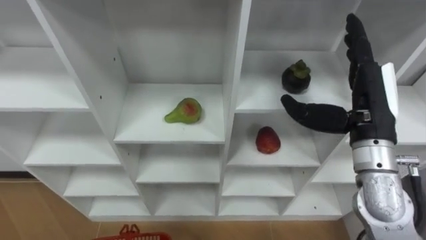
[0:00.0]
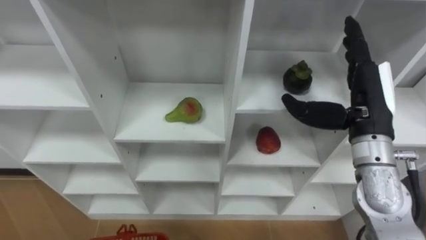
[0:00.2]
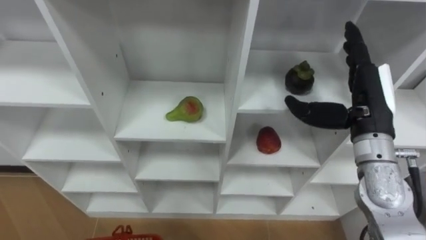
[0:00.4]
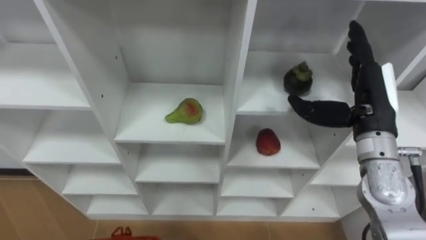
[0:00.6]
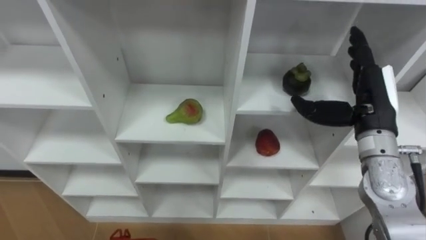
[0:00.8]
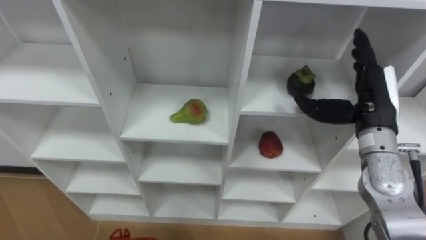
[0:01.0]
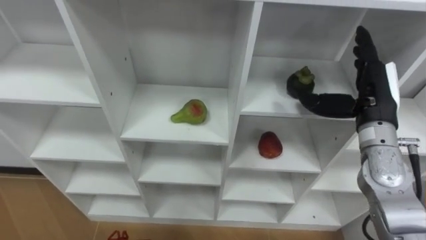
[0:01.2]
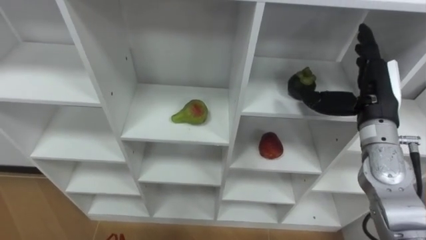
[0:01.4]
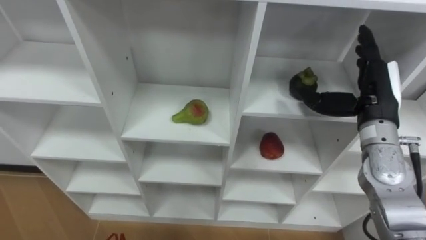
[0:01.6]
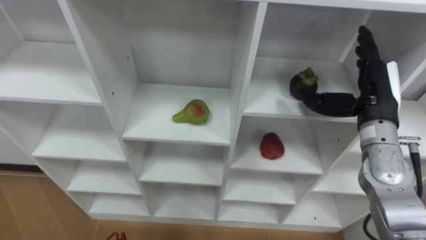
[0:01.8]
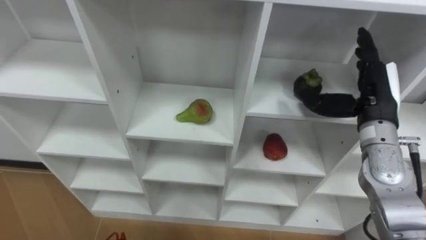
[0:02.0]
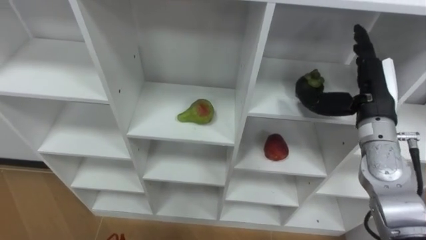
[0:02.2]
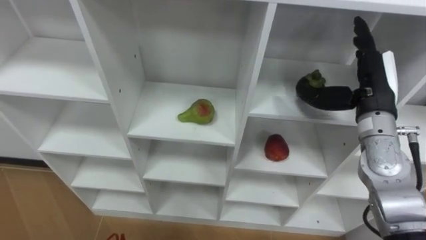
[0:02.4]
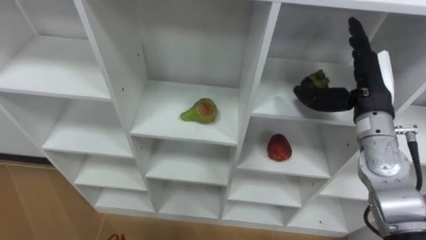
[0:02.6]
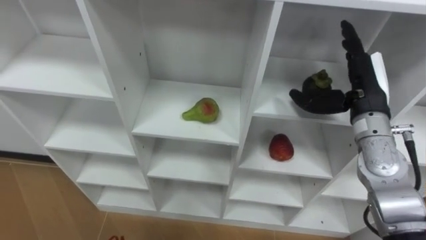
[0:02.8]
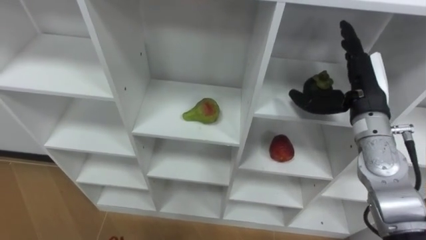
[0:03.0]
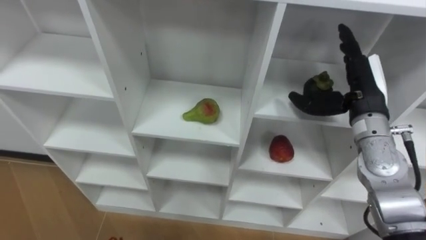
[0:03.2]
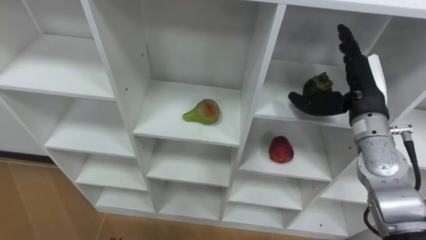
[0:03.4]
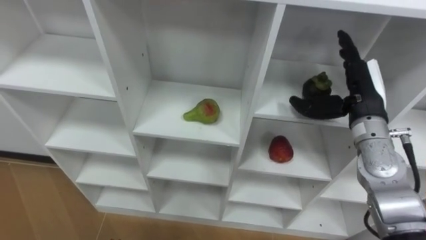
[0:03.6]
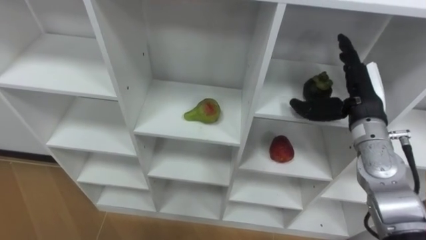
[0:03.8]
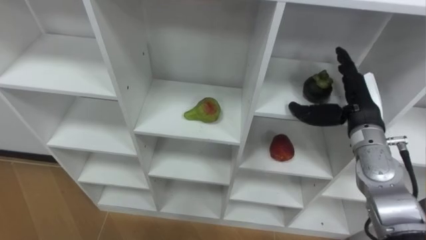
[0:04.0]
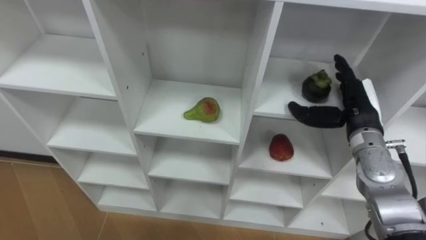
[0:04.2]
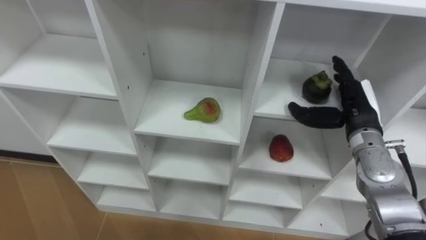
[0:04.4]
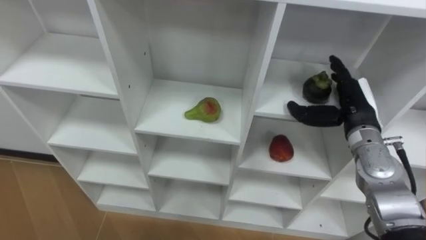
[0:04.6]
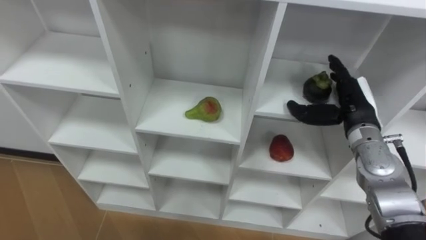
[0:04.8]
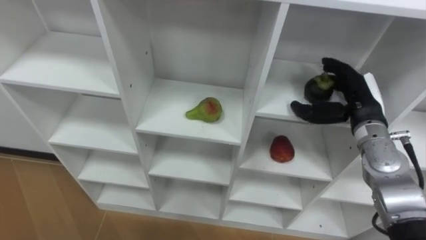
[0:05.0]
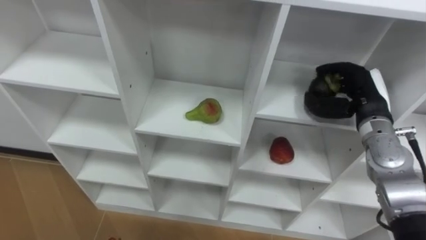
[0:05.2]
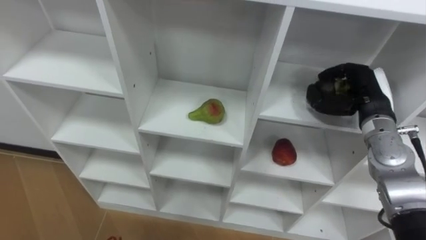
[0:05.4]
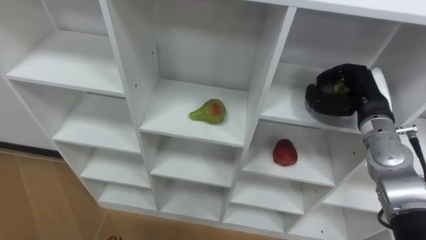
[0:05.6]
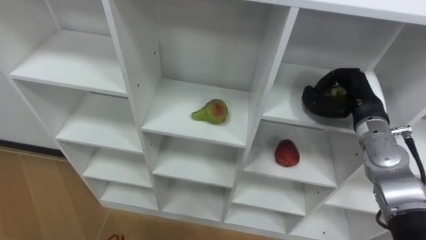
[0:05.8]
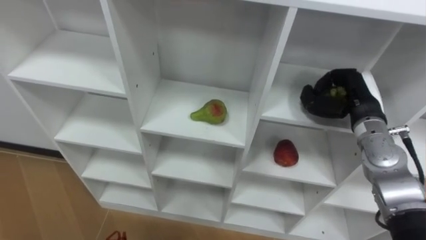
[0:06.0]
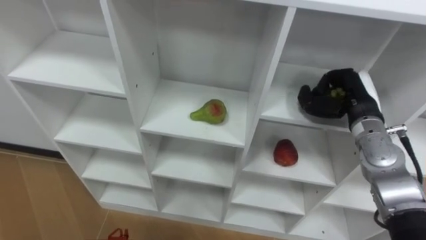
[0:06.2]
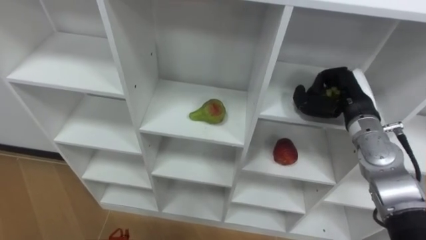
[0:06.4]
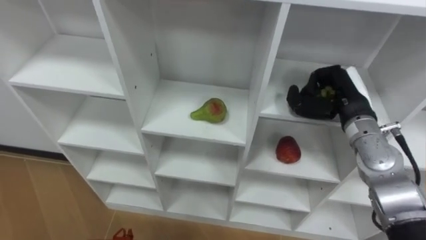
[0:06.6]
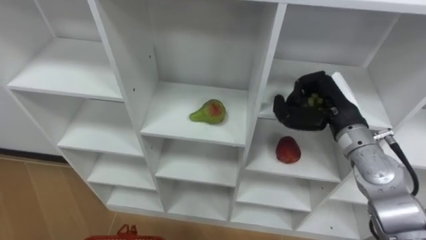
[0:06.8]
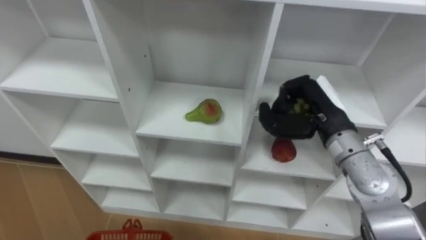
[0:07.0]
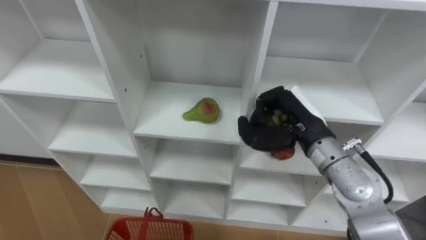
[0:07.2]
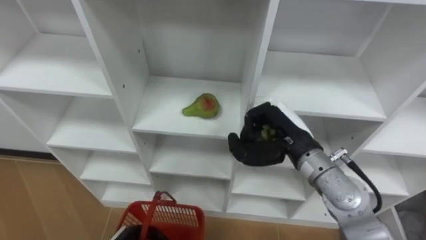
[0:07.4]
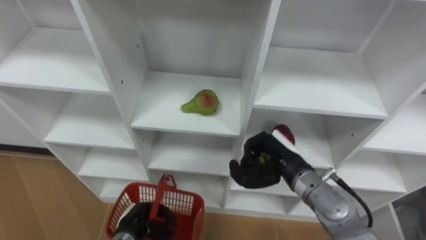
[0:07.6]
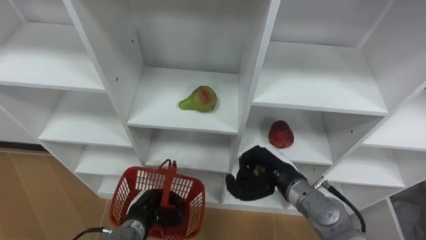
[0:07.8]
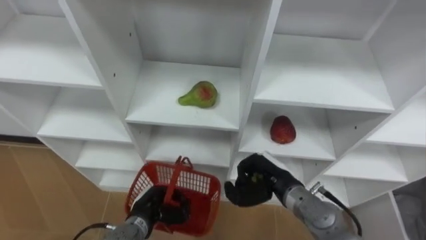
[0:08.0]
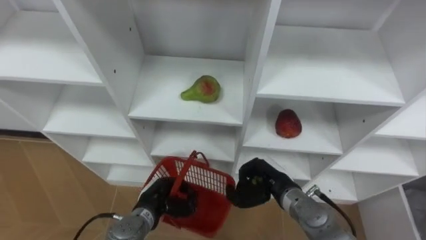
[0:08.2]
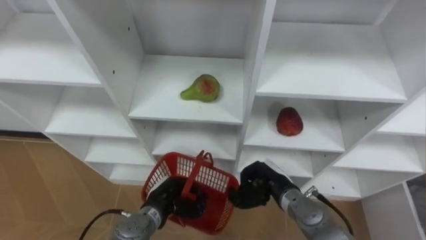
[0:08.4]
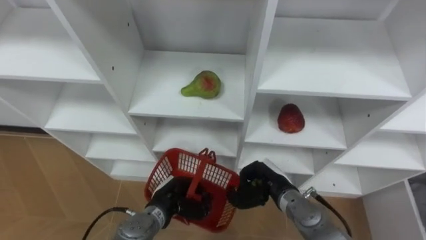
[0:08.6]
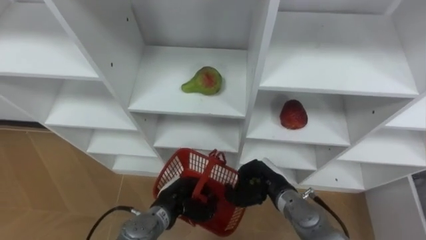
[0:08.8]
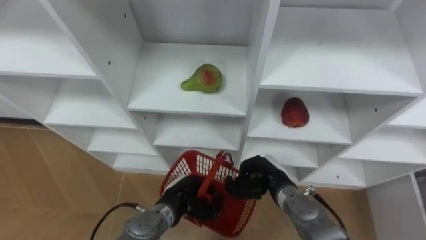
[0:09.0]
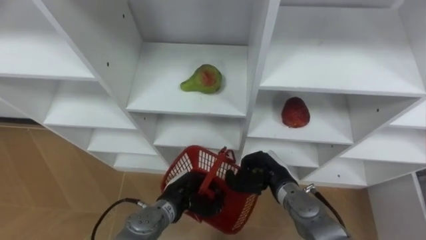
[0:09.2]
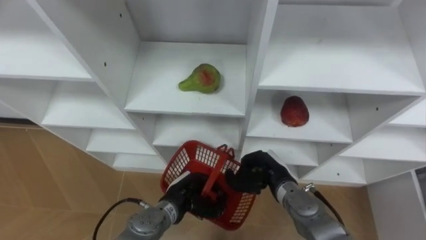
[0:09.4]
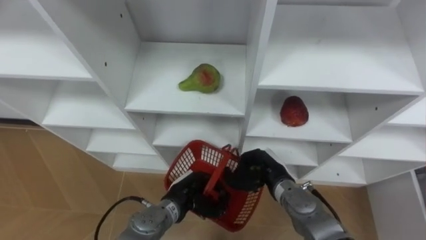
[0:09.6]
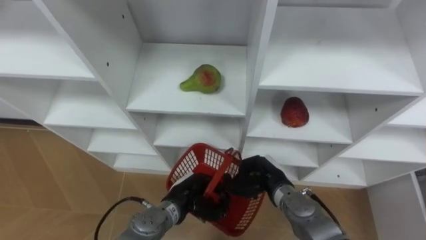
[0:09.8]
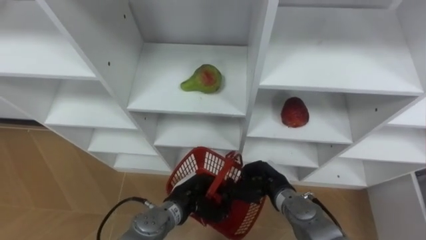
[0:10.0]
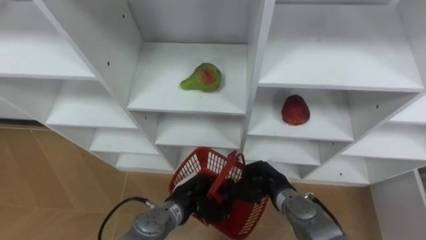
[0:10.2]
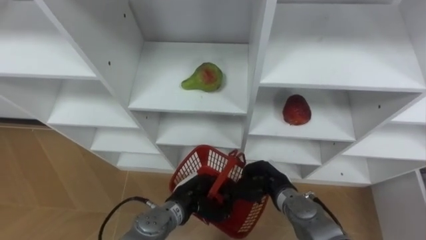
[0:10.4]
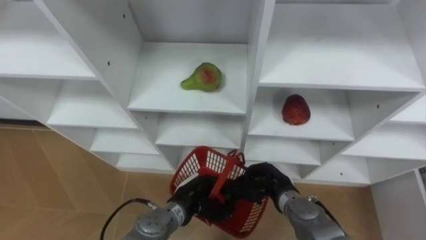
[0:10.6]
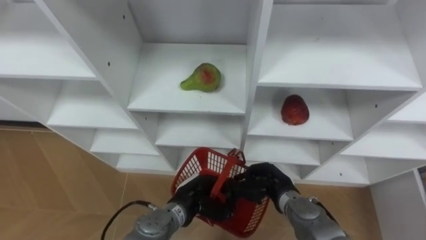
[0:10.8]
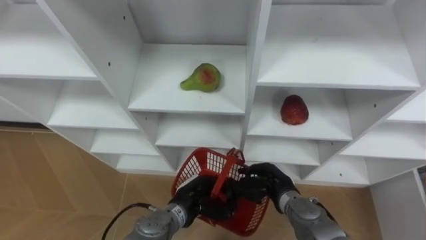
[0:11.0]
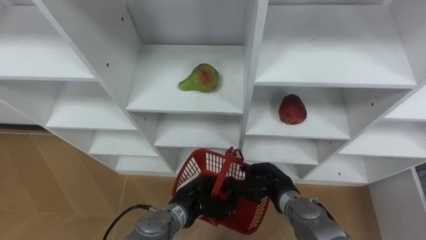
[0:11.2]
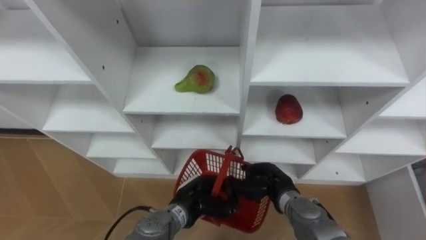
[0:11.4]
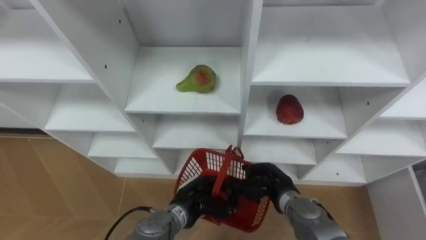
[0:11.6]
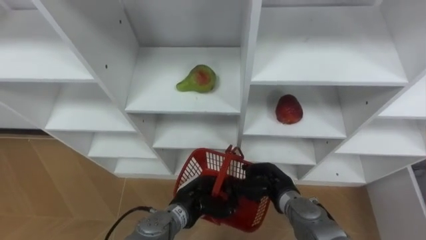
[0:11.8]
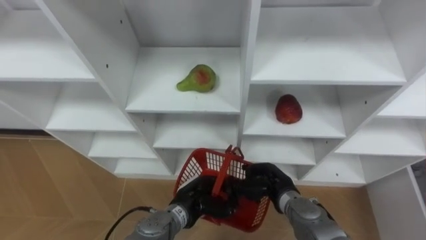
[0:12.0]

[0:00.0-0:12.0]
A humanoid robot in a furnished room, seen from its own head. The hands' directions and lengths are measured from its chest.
Task of the whole recording: Hold the basket and collect the fruits from 3 different cells of the closet into it.
0:00.0 to 0:01.6: The right hand shifts by about 5 cm.
0:03.0 to 0:04.4: The right hand travels downward by roughly 5 cm.
0:04.4 to 0:06.0: The right hand closes.
0:06.0 to 0:07.6: The right hand shifts roughly 15 cm to the left, backward and downward.
0:07.6 to 0:09.0: The right hand shifts roughly 10 cm downward. Meanwhile the left hand is displaced to the right and forward by about 10 cm.
0:10.4 to 0:12.0: The right hand opens.

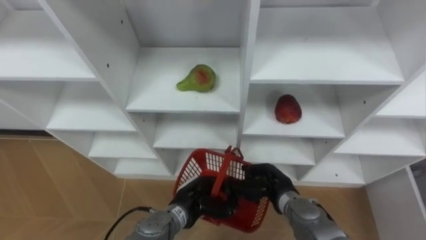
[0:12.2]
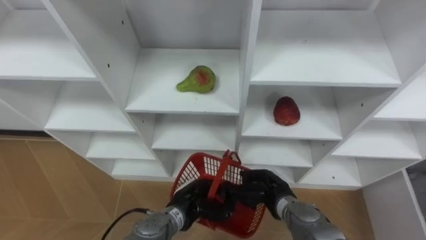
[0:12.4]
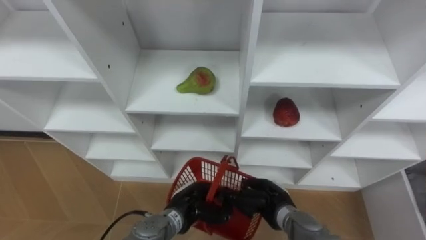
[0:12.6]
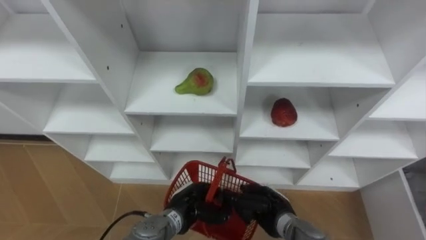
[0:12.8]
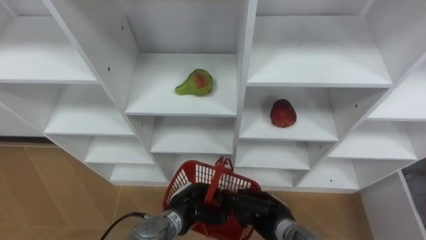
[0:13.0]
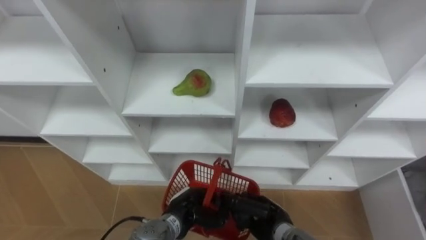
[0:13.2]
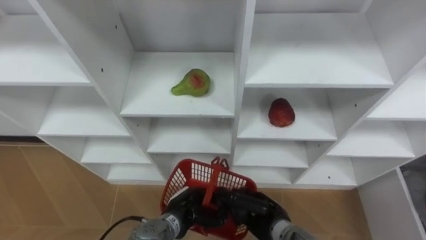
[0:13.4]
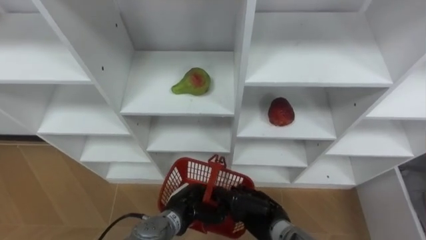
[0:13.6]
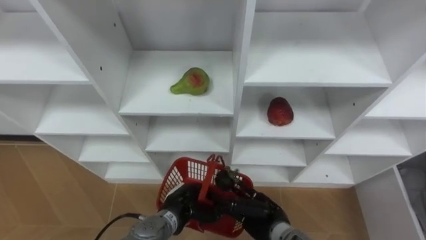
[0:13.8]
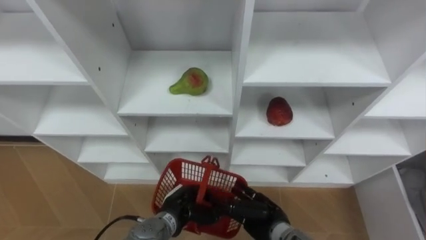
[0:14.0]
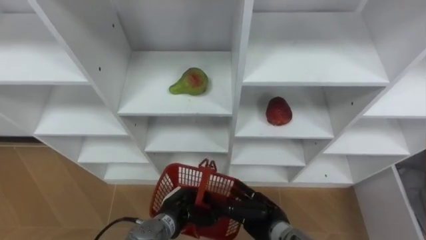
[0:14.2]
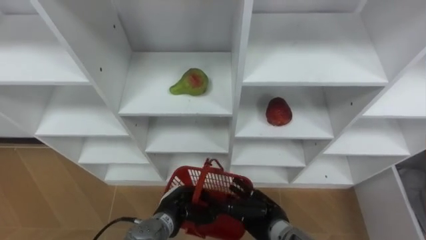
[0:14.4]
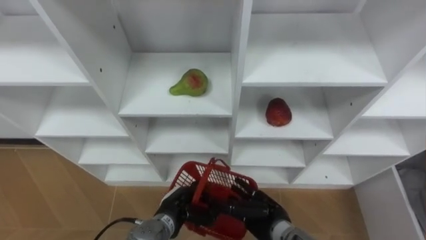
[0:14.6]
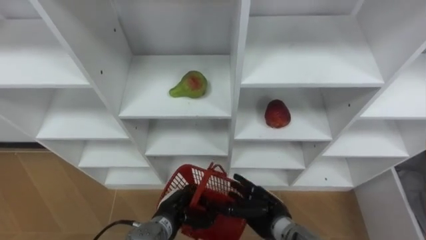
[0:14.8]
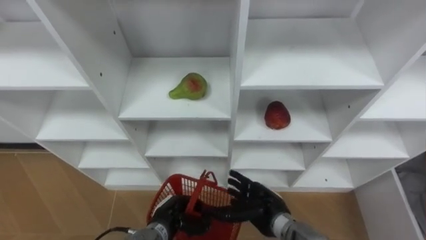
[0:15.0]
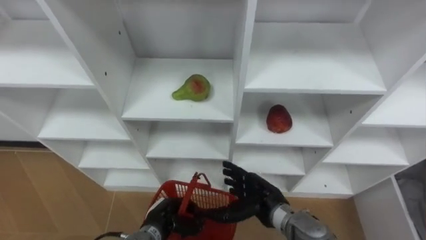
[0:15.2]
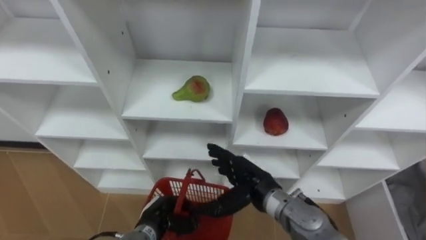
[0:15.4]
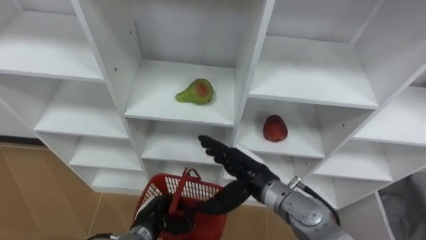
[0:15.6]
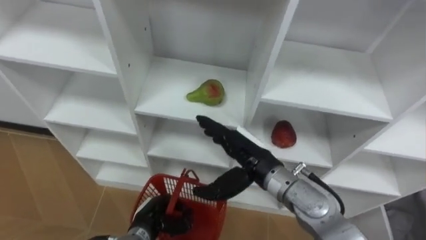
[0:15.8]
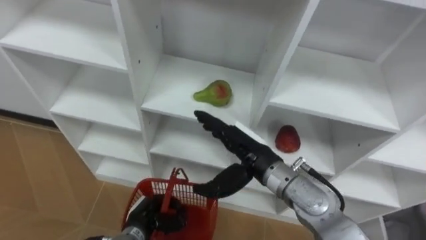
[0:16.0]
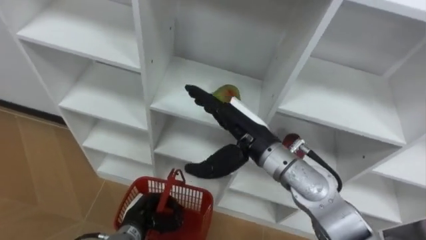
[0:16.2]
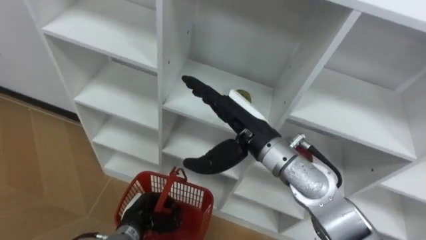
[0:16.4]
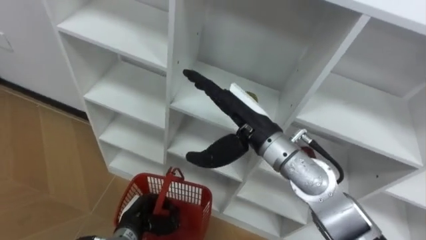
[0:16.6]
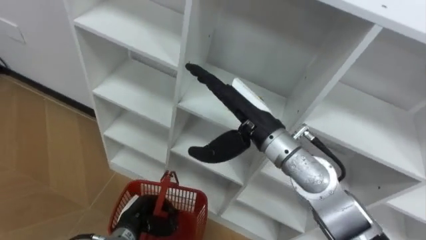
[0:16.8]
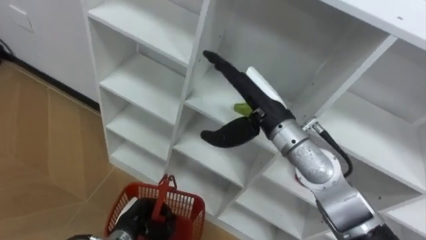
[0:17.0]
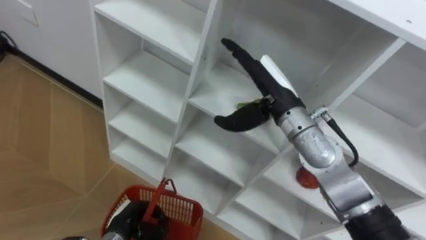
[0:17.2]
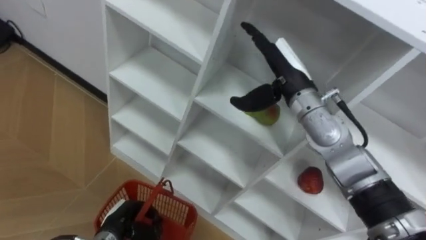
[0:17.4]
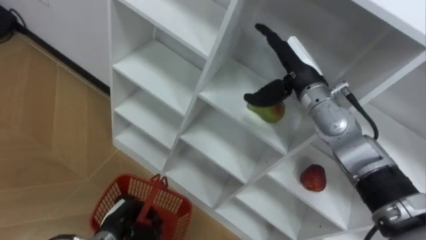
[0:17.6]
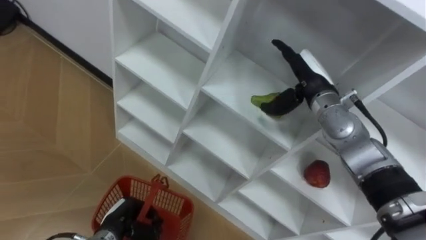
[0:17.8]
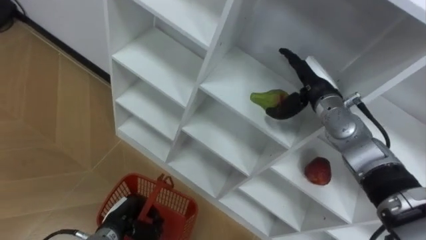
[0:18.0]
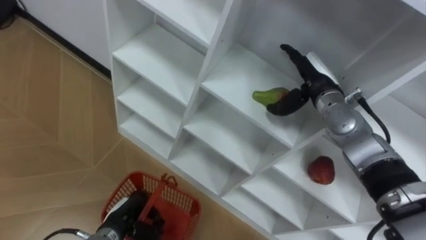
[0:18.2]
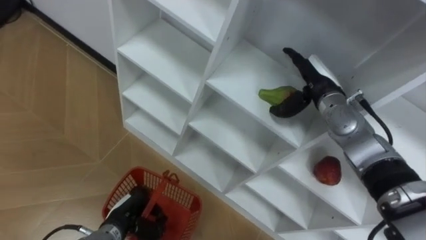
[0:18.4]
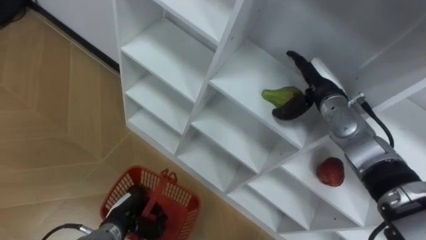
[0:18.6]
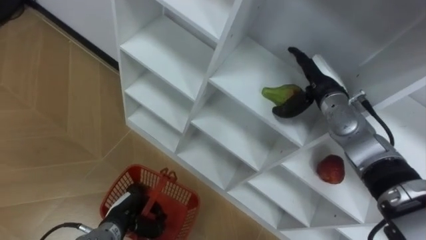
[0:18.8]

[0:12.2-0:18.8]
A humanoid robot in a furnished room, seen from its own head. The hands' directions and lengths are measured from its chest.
Task of the whole recording: Hold the basket and collect the fruits from 3 different cells of the closet into it.
0:12.2 to 0:13.8: The right hand heads backward, covering approximately 5 cm.
0:13.8 to 0:15.4: The right hand goes roughly 10 cm upward, while the left hand is displaced to the left by roughly 5 cm.
0:15.4 to 0:17.2: The left hand travels to the left by roughly 5 cm. Meanwhile the right hand heads upward and forward, covering roughly 20 cm.
0:17.2 to 0:18.8: The right hand goes roughly 15 cm to the right, forward and downward.
